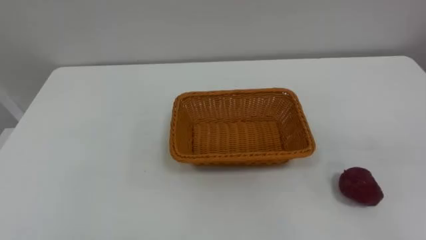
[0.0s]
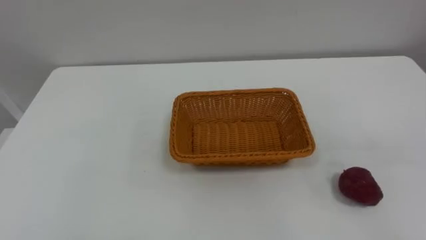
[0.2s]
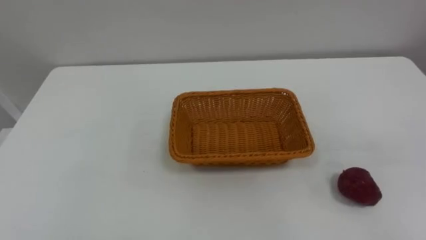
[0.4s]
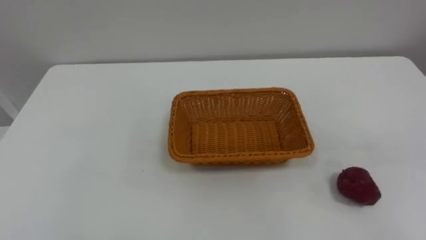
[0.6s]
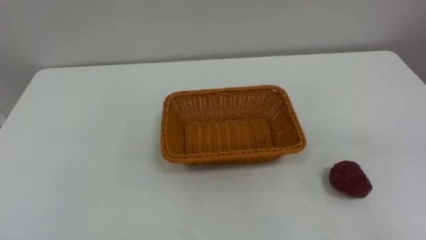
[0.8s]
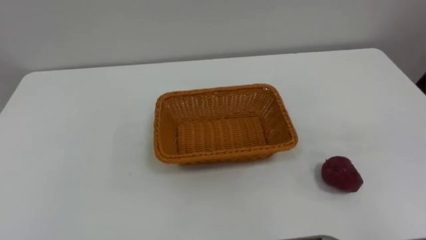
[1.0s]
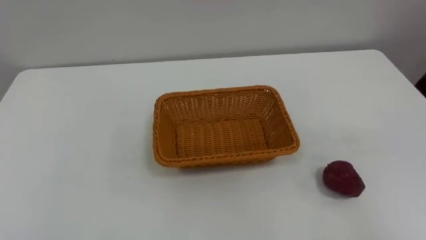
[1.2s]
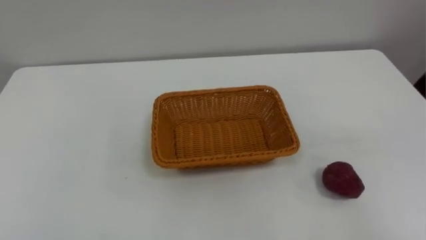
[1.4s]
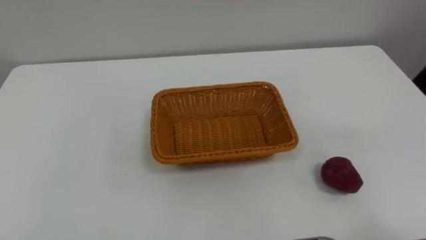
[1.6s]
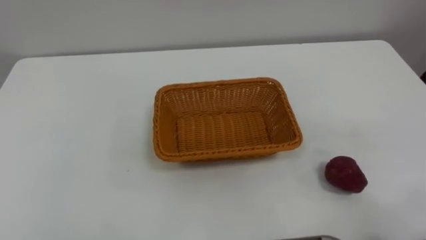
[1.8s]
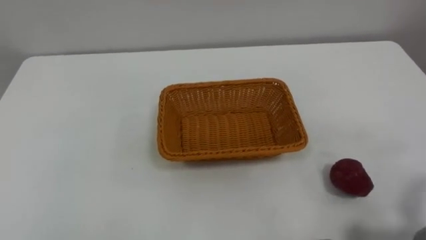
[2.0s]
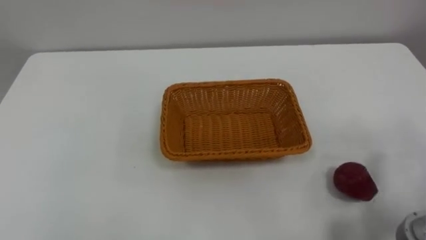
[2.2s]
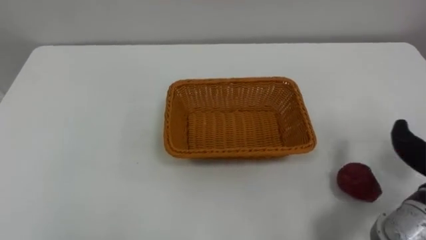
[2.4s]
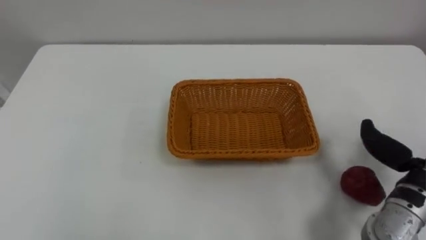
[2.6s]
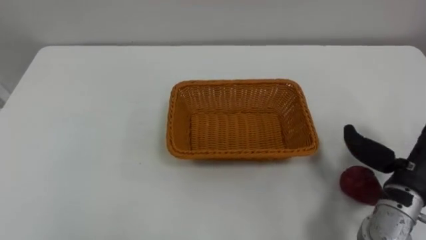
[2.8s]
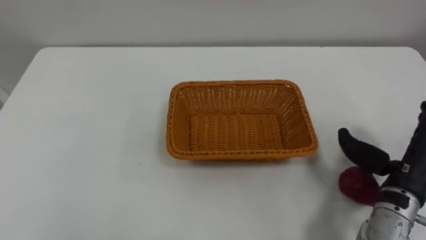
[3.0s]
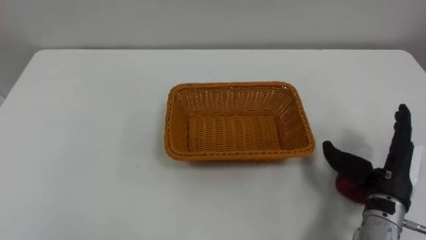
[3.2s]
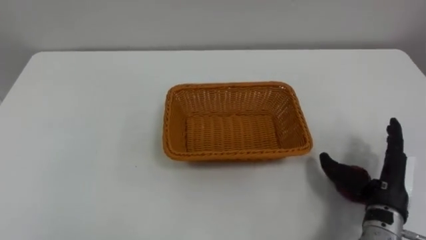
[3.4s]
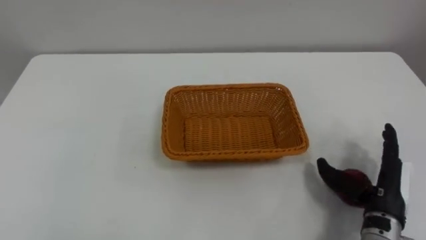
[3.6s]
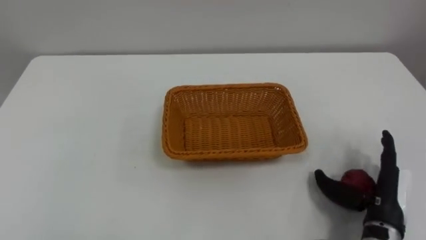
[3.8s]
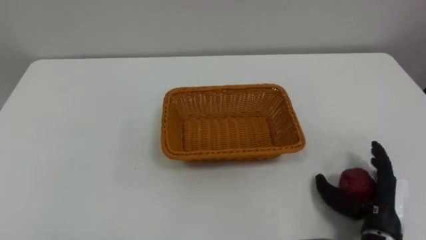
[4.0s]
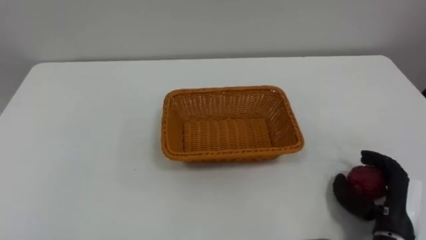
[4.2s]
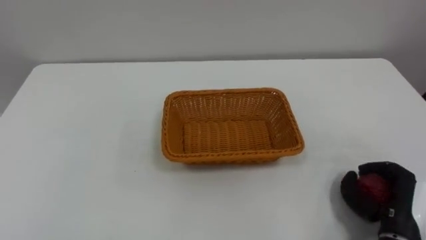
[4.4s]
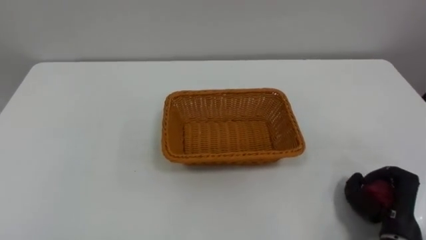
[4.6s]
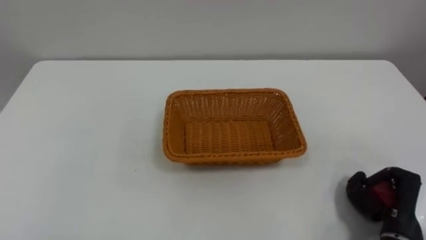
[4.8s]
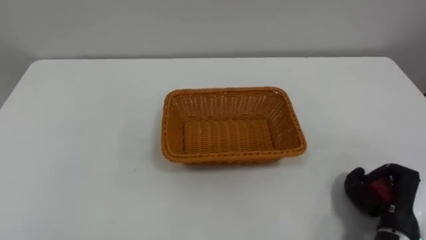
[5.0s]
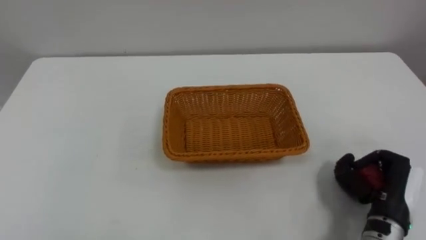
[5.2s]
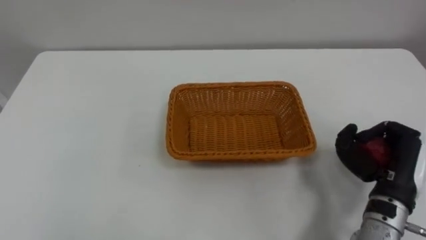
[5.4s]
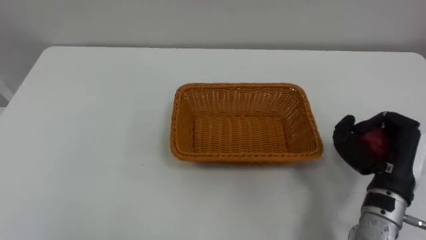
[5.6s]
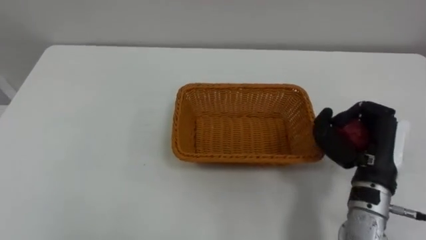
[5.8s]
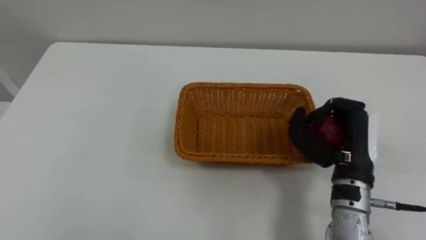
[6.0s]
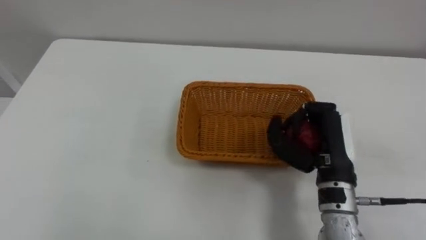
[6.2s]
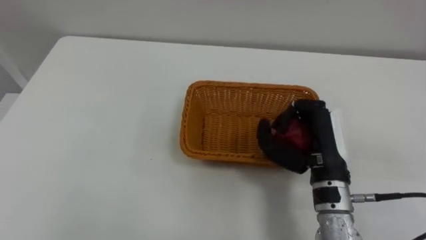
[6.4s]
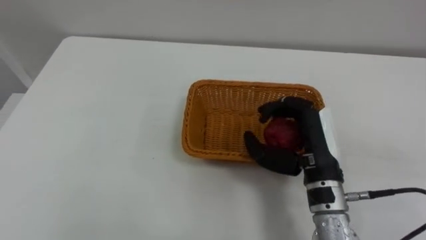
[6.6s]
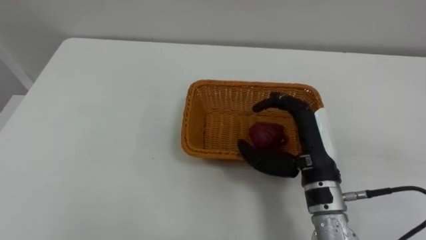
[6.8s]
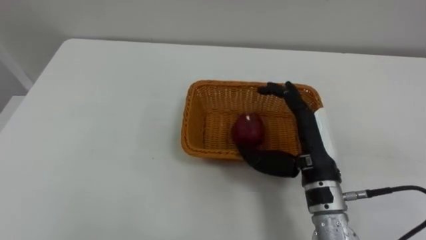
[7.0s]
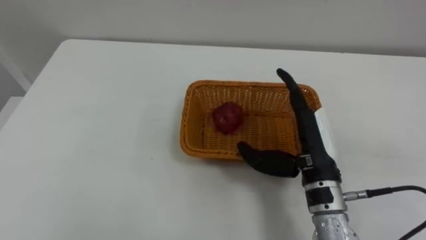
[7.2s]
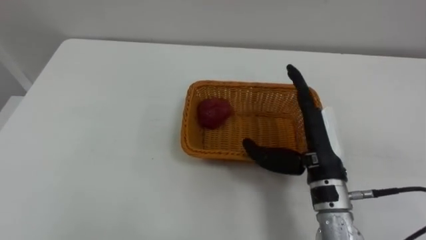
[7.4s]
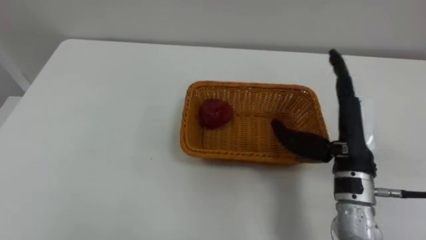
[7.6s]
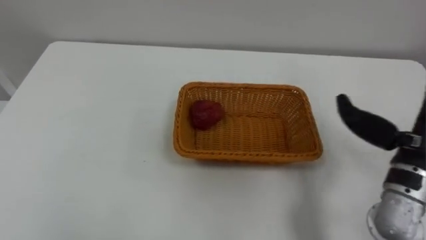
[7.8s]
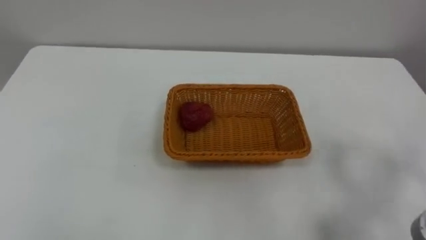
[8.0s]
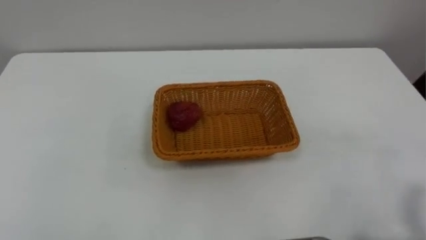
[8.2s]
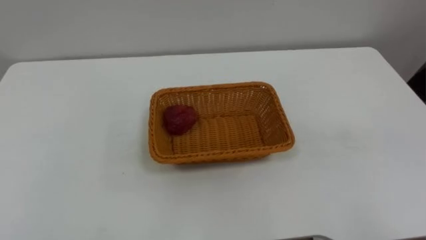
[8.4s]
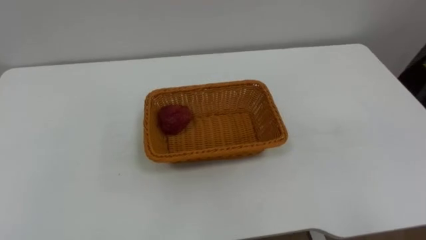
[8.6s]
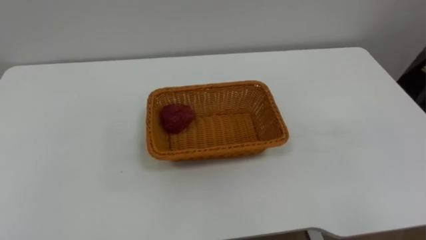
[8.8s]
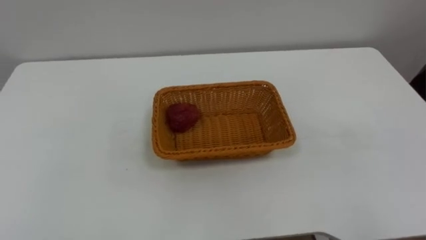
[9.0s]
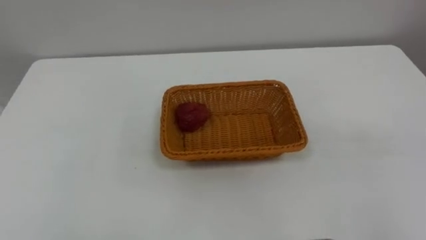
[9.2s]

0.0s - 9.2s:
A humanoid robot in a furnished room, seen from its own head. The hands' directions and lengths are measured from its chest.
Task of the whole recording: Pick the apple and place it in the box.
3.0s - 4.6s: The right hand heads downward and backward, covering approximately 10 cm, and closes.
4.6s - 6.2s: The right hand shifts roughly 20 cm to the left, upward and forward.
6.2s - 7.6s: The right hand opens.

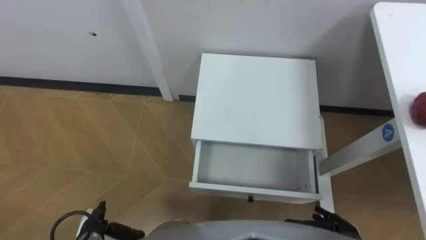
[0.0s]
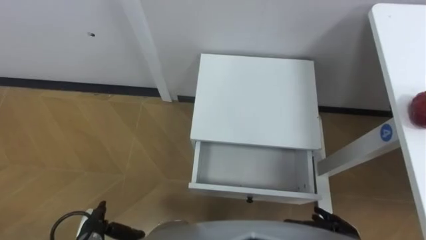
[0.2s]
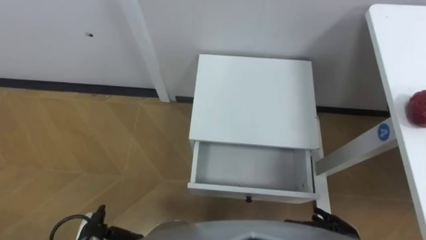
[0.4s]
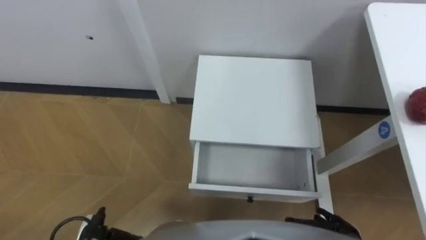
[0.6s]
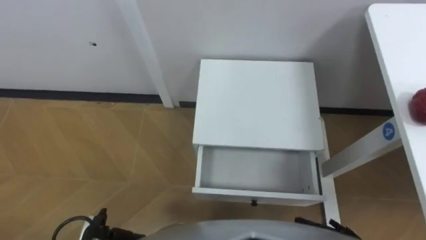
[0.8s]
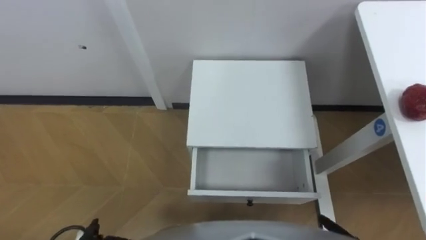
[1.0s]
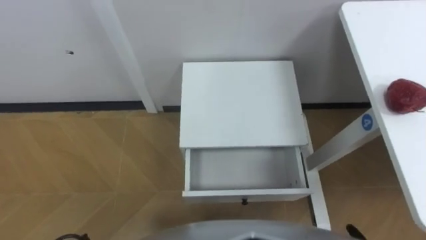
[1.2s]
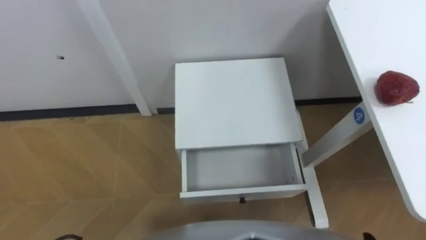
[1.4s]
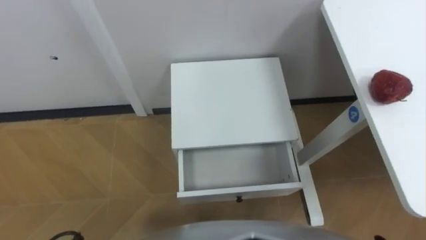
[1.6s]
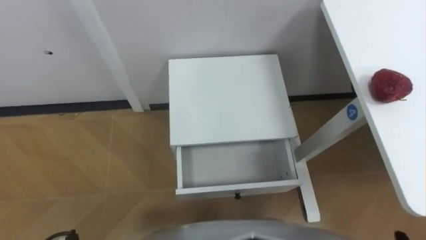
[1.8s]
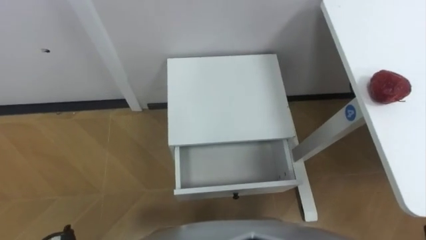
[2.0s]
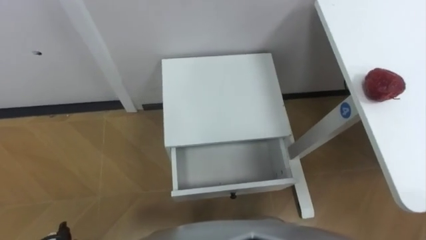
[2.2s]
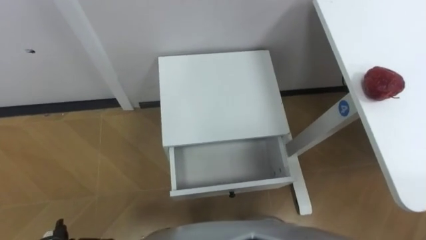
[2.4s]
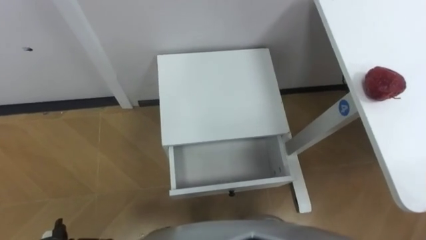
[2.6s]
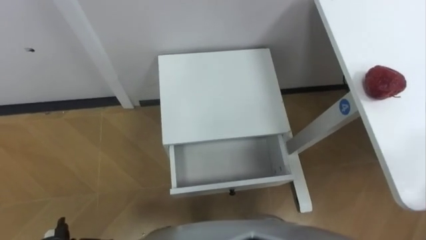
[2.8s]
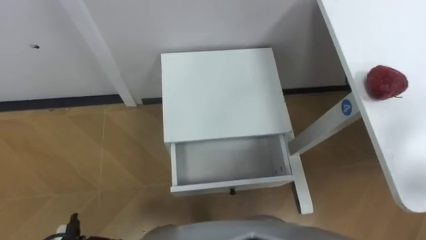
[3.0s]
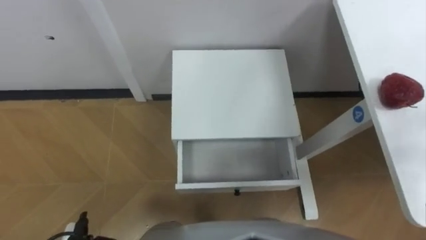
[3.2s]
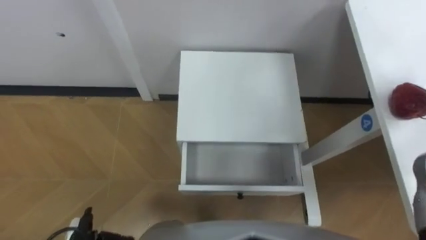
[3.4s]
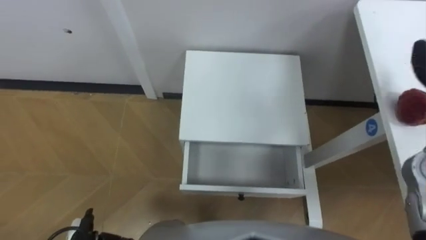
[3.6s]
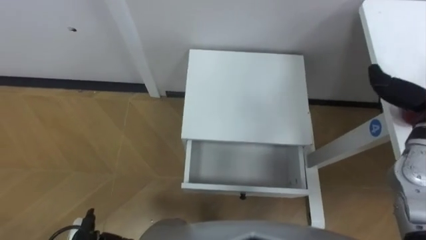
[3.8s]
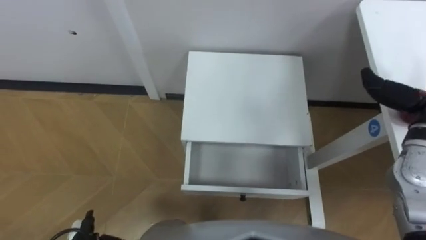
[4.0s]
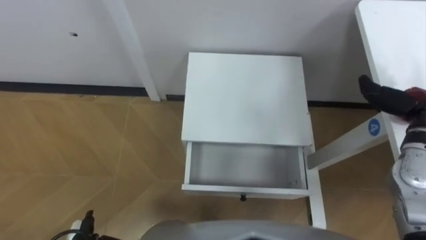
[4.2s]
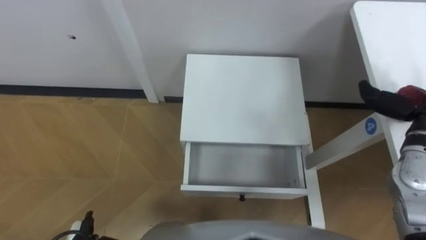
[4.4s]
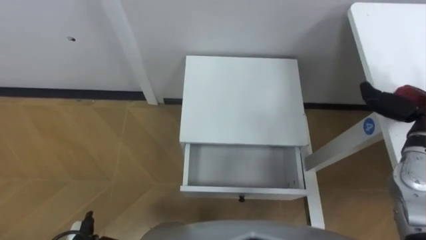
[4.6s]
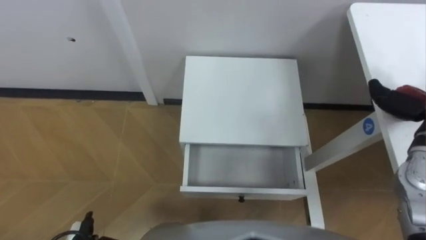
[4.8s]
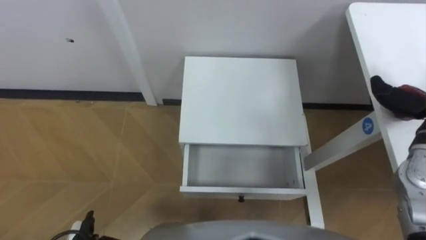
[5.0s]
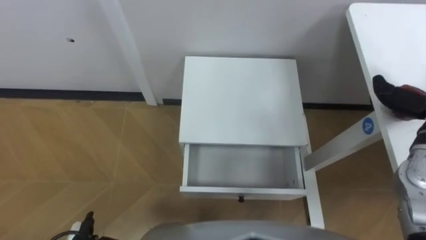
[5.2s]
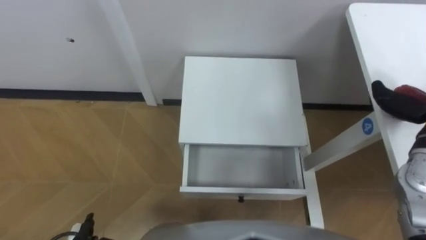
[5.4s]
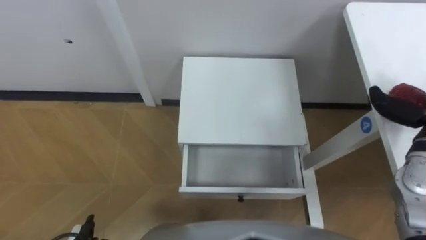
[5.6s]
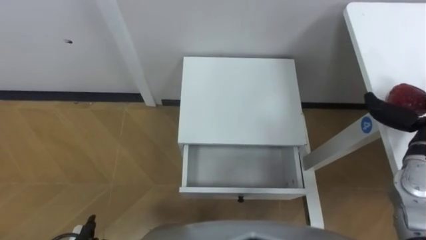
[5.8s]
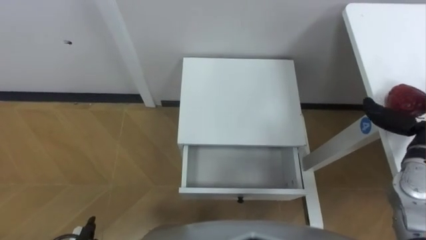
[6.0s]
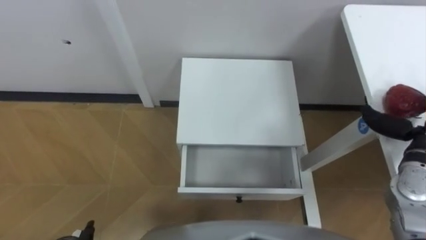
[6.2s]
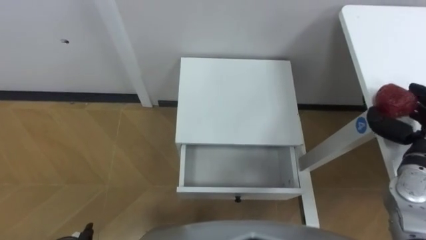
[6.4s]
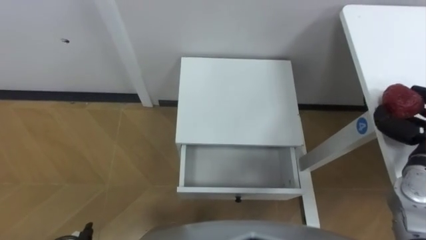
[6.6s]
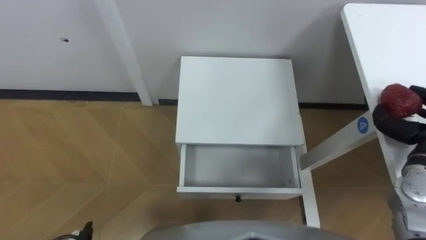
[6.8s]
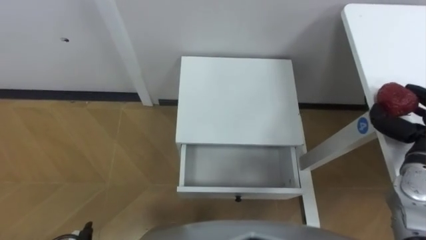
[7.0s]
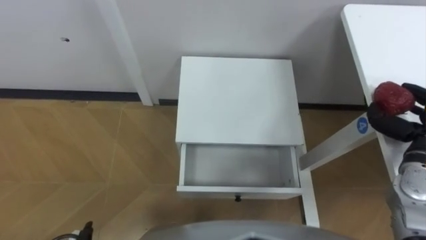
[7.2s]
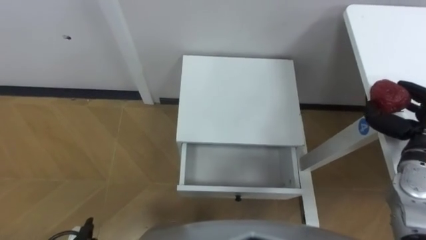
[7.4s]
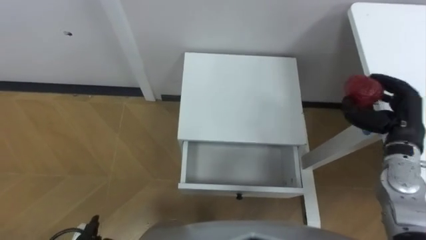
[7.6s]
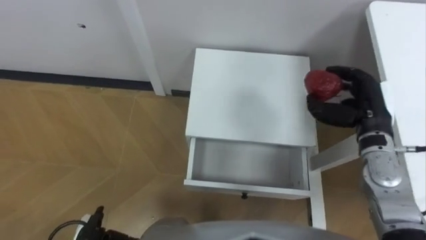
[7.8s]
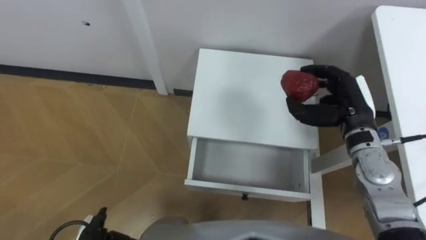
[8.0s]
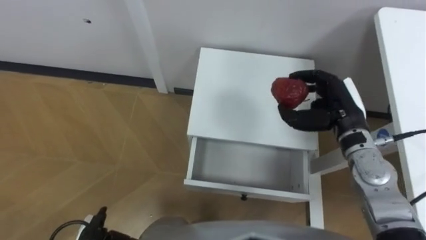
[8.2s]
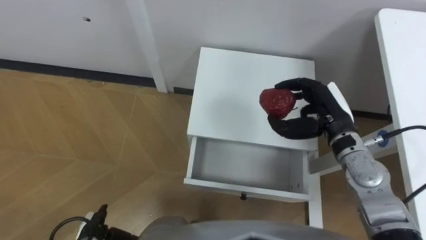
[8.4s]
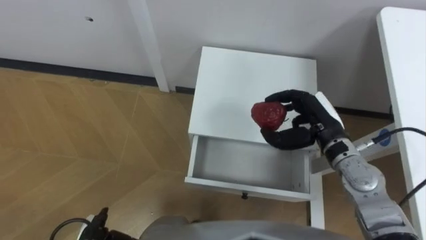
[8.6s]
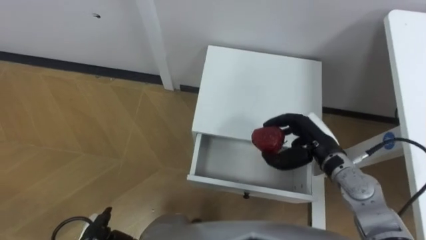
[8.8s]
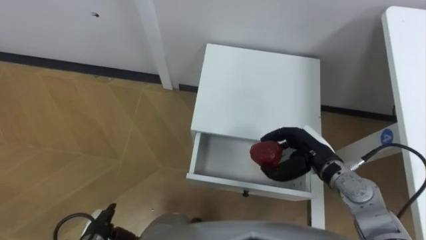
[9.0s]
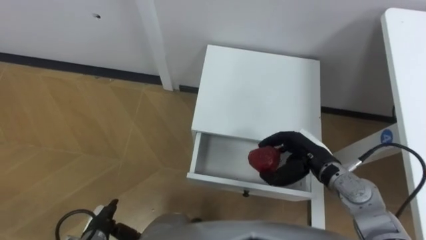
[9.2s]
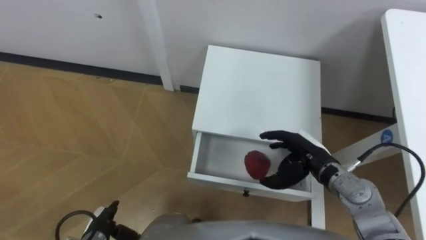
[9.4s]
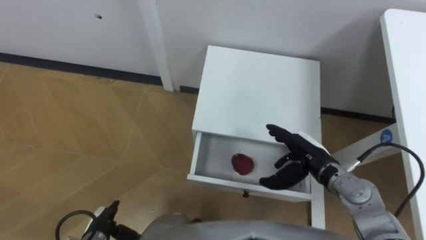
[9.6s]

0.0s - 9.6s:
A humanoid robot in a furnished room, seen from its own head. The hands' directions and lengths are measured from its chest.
Task of the whole recording: Pick up the apple from the table, put it in the drawer, and close the drawer with leg.
8.0s - 9.6s: The right hand goes approximately 15 cm downward, backward and to the left, and opens.
